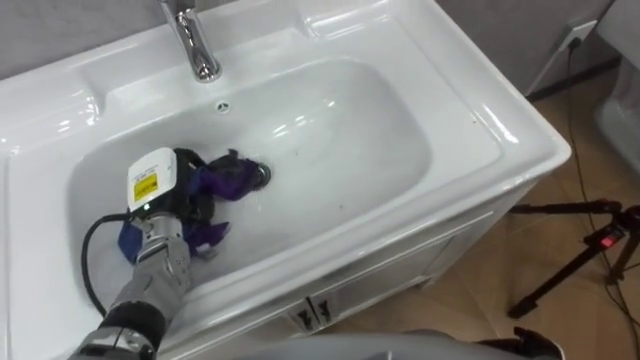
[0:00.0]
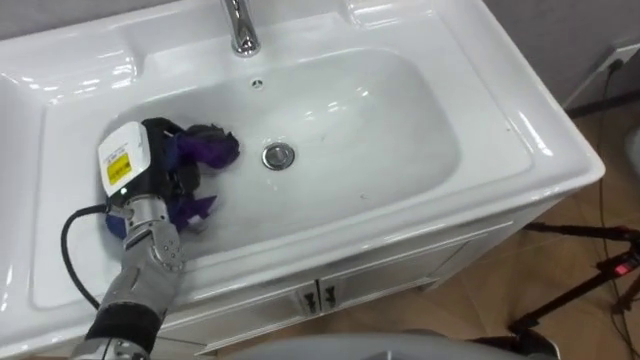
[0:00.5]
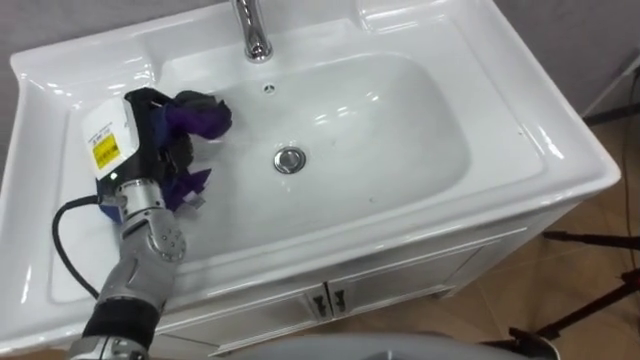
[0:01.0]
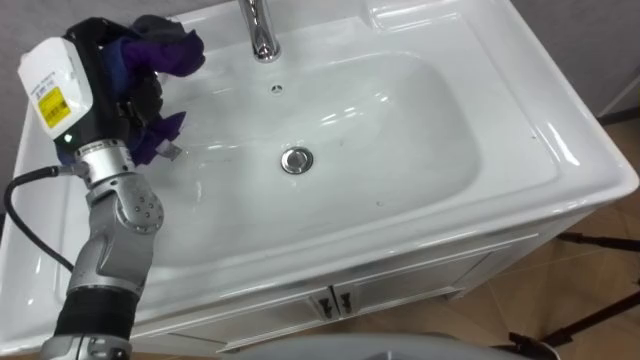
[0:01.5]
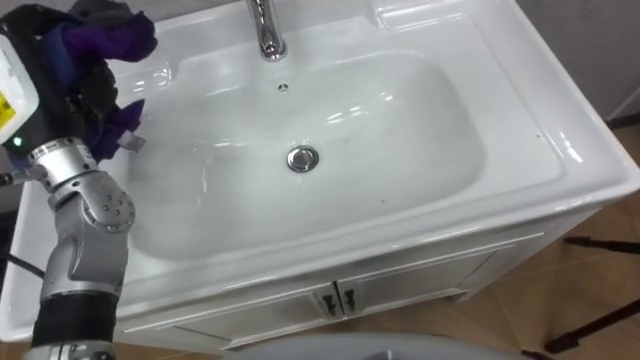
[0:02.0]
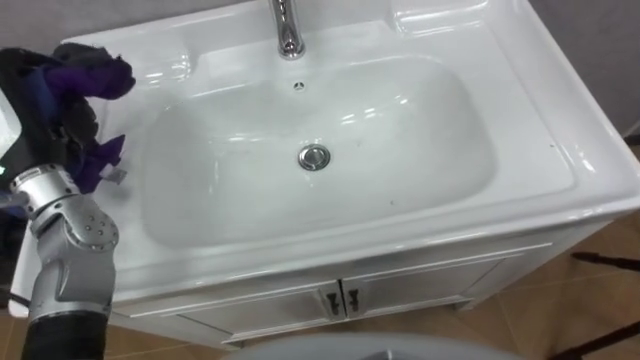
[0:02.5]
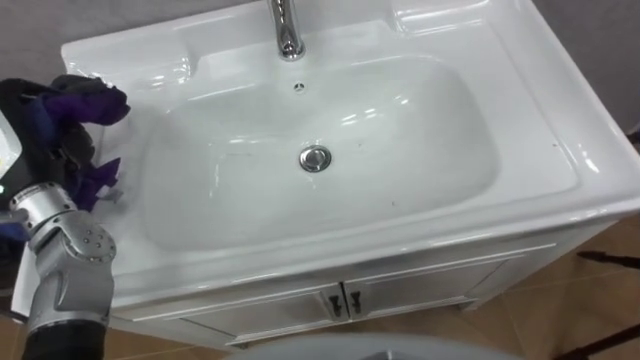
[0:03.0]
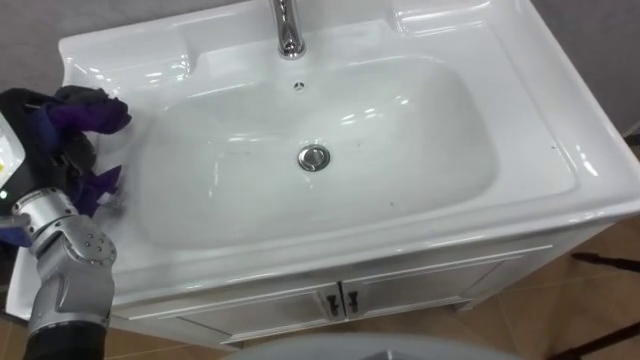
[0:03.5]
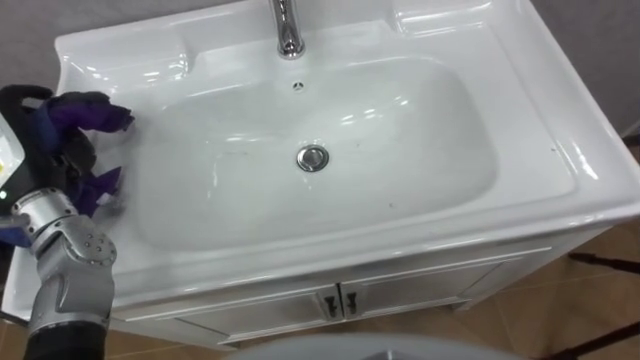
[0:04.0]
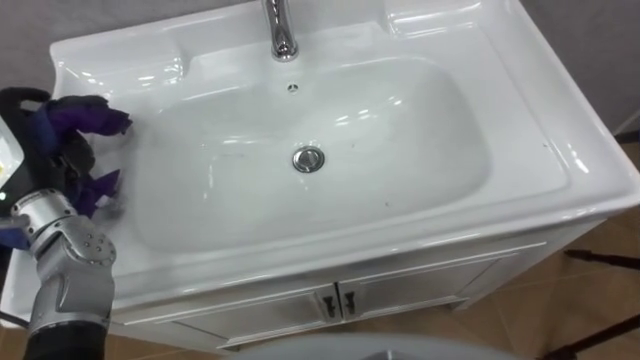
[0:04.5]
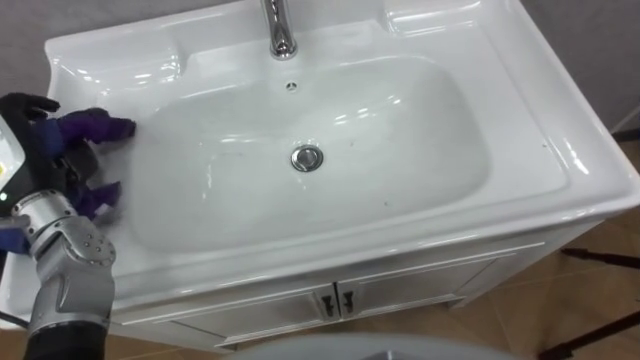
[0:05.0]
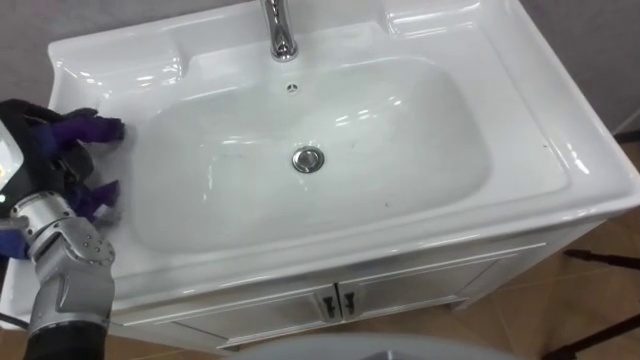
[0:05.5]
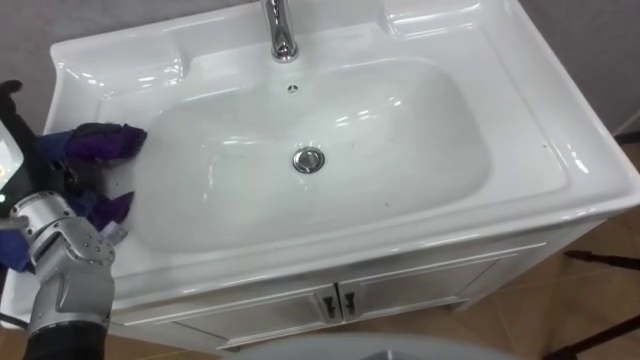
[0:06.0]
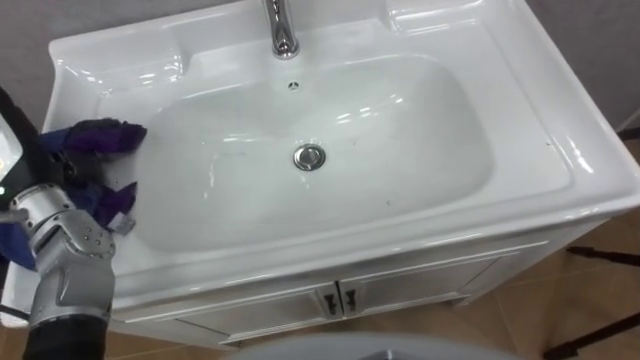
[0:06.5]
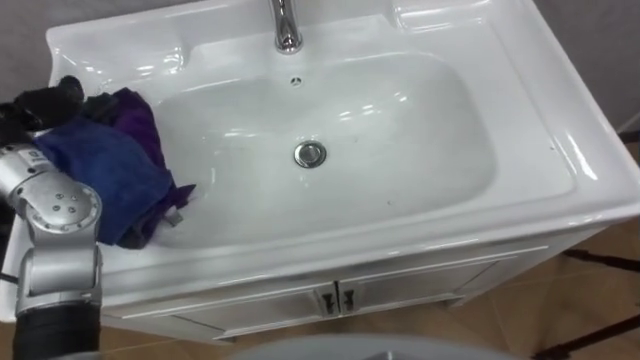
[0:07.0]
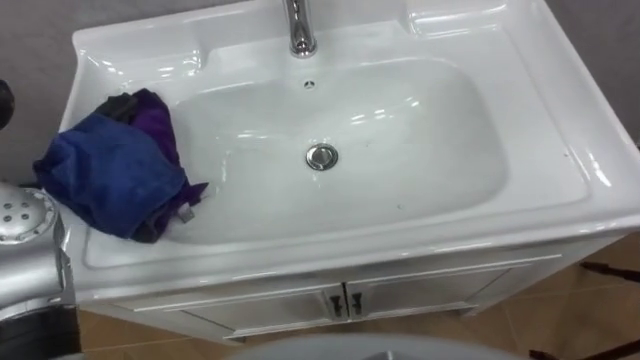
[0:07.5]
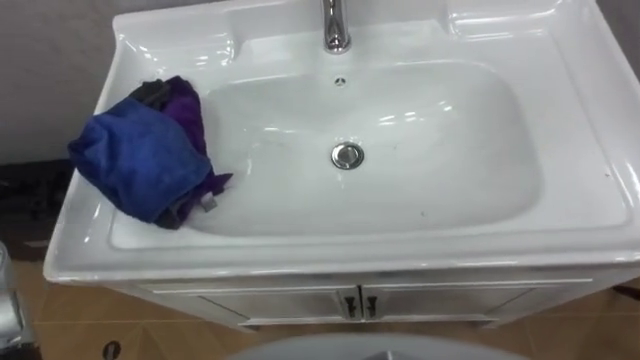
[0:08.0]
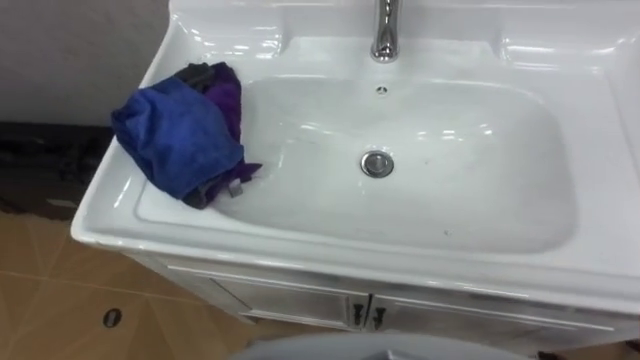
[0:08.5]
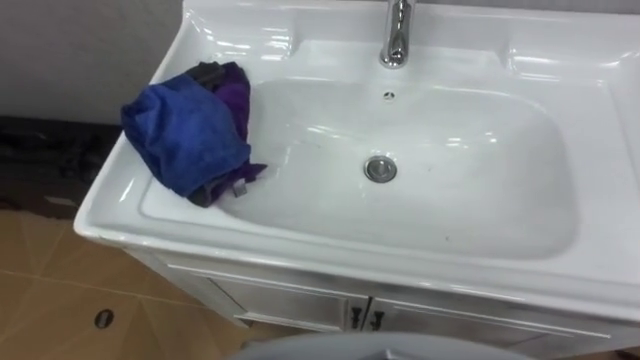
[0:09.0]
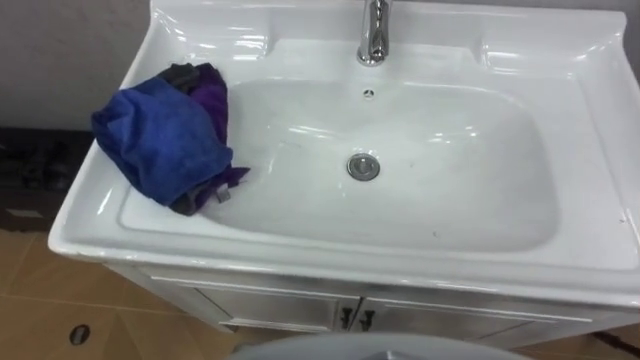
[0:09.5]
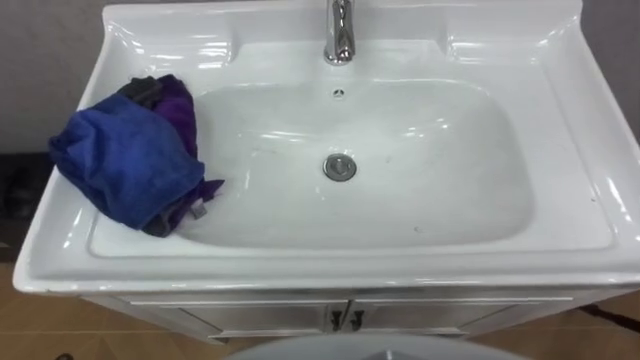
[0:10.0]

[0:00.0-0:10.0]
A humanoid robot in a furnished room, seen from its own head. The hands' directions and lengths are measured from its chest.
Task of the whole recording: Use the cloth on the right to wipe away the black stain in the sink.
0:00.0 to 0:02.0: The left hand shifts about 20 cm upward.

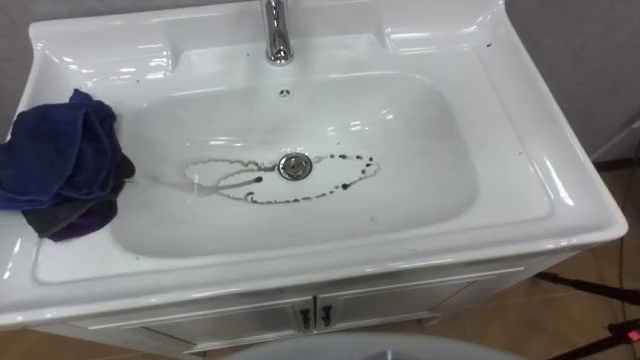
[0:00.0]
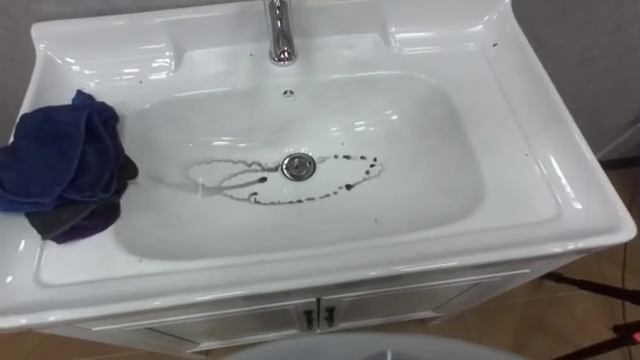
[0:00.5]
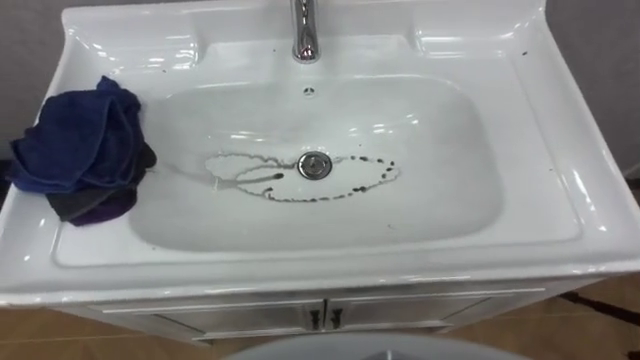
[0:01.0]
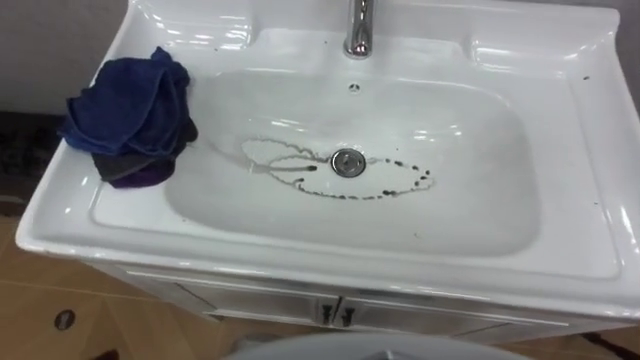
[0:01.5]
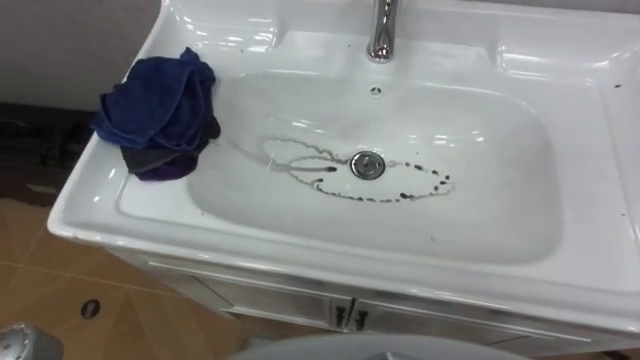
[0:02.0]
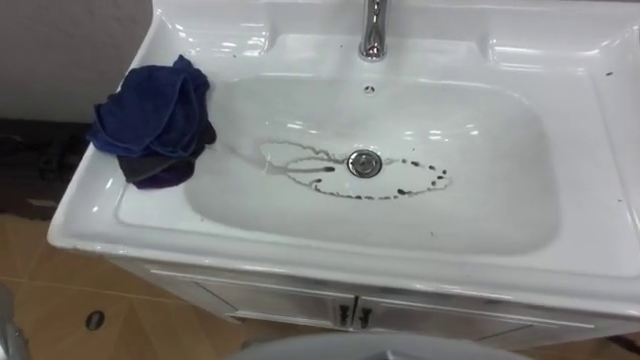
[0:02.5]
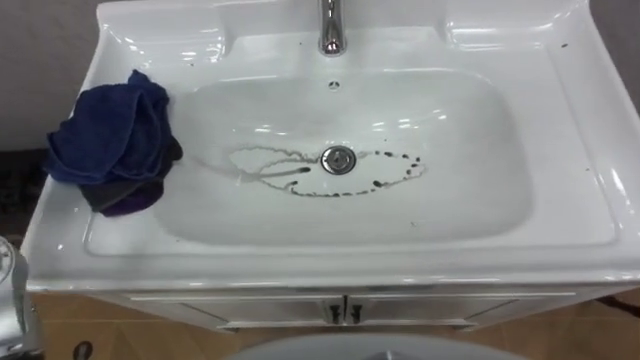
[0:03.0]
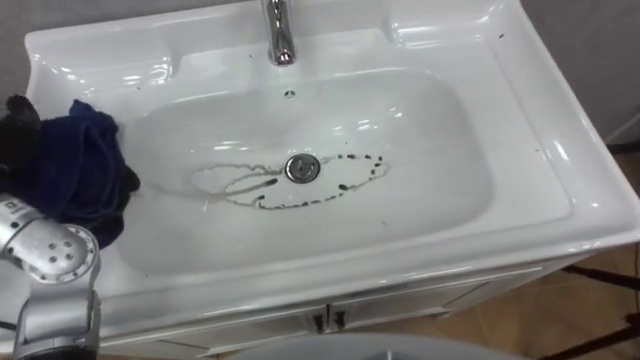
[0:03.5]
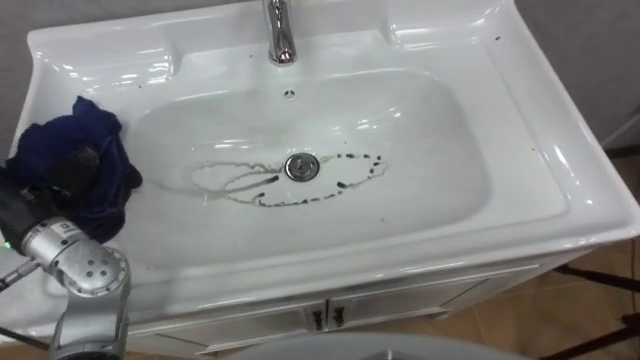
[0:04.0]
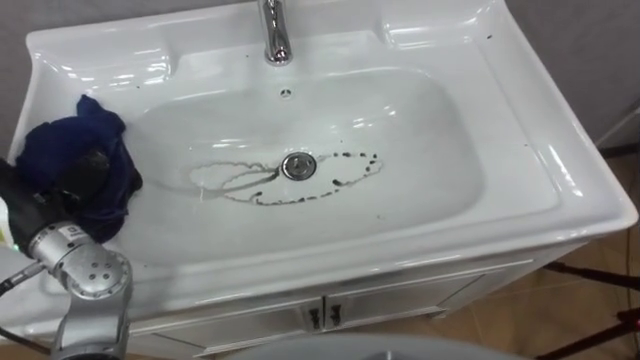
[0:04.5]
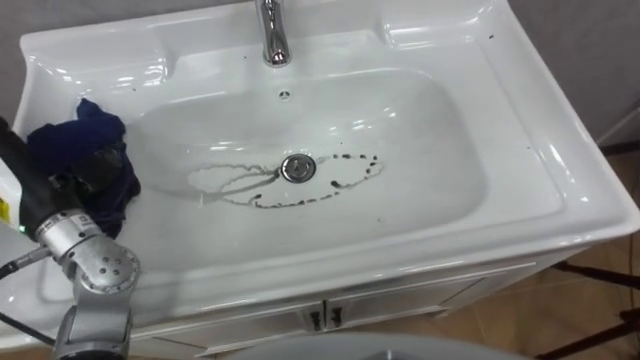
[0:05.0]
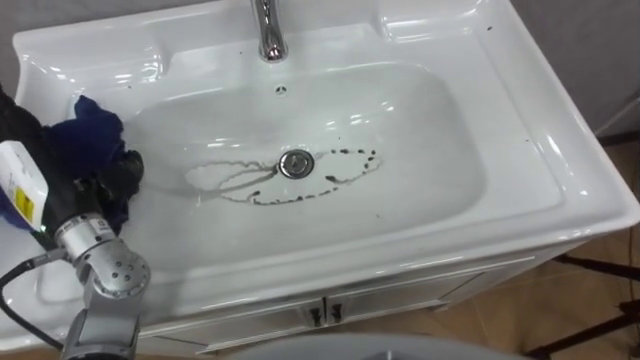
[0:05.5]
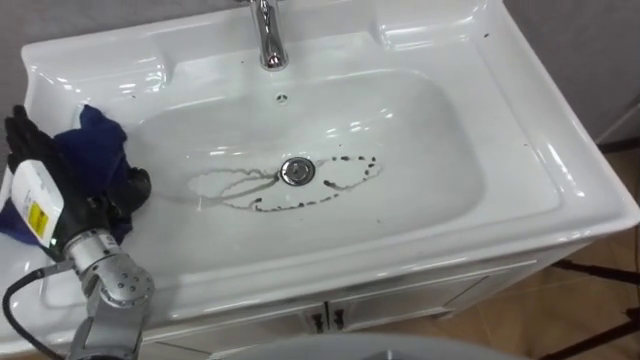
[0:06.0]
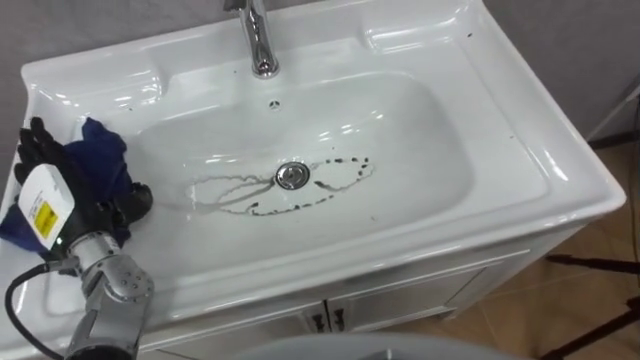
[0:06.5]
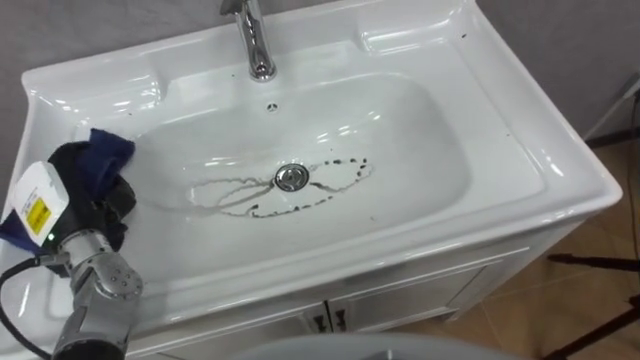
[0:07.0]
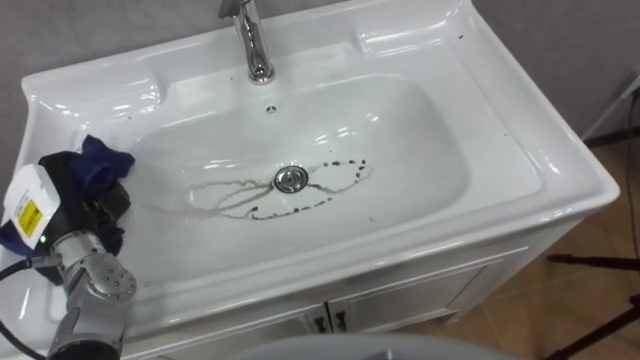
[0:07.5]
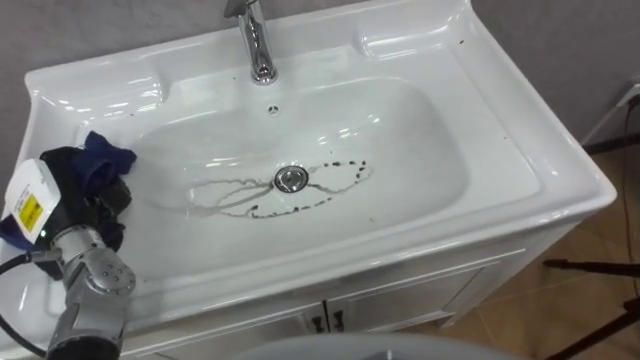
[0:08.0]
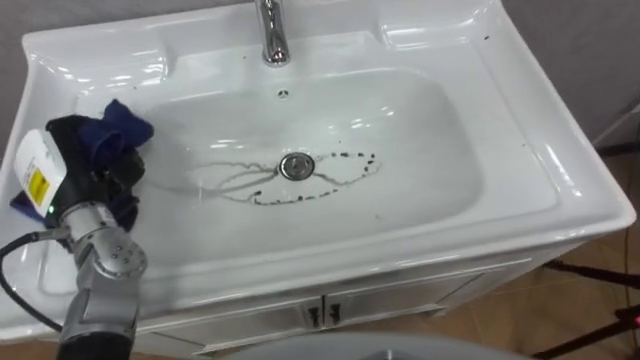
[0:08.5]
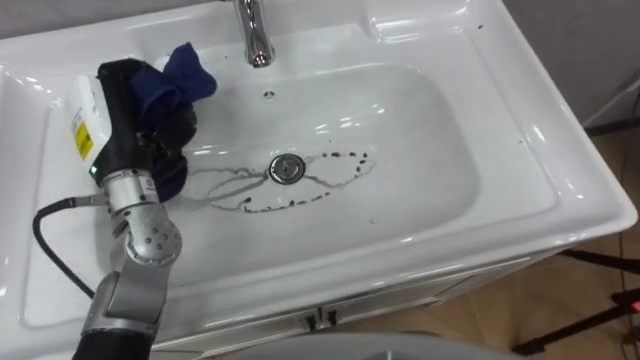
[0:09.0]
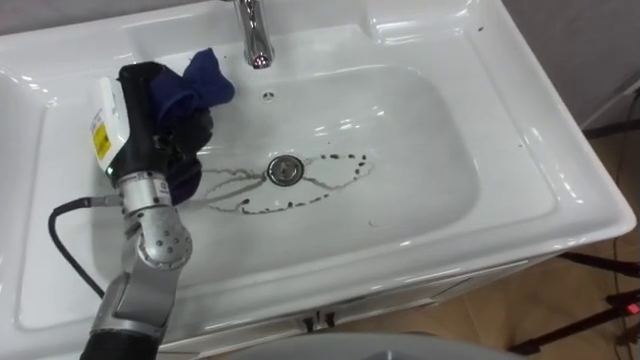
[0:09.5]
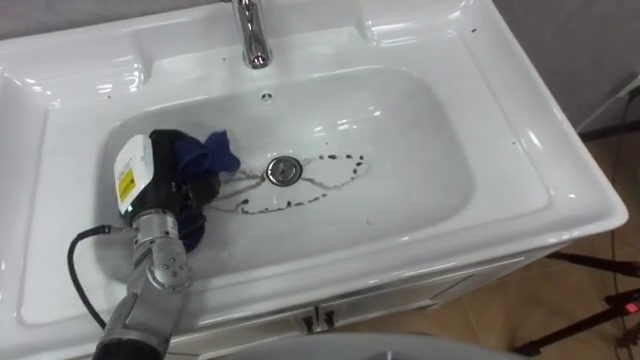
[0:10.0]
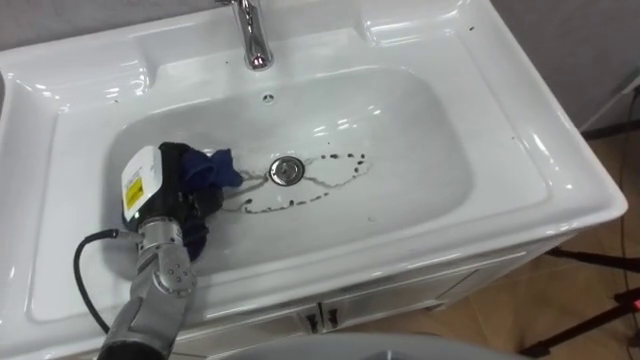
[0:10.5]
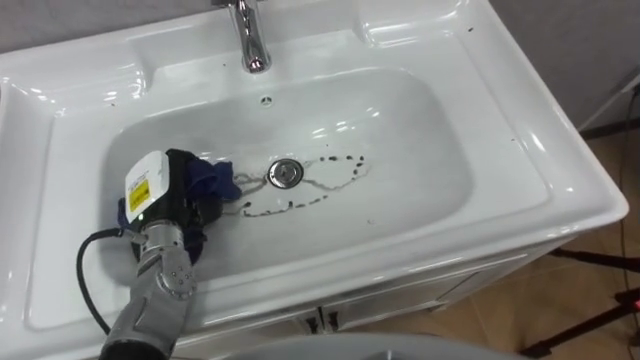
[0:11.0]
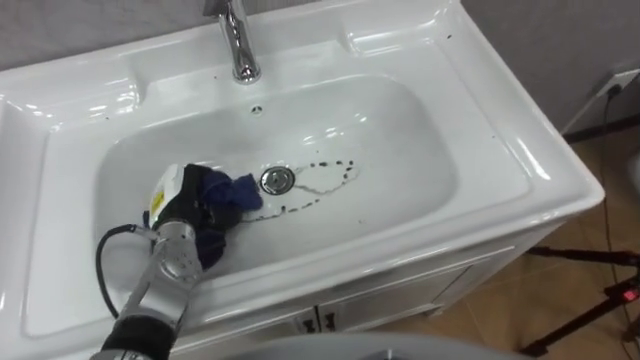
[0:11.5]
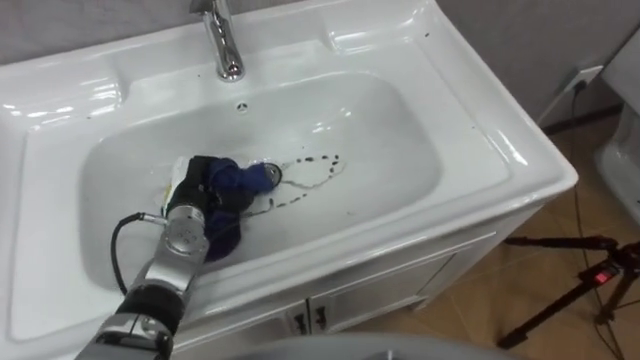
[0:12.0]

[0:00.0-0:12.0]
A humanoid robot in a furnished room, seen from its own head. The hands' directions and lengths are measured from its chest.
Task of the whole recording: Use the cloth on the right to wipe away the black stain in the sink.
0:06.0 to 0:08.0: The left hand closes.
0:08.0 to 0:10.0: The left hand moves to the right, some 10 cm.
0:10.0 to 0:12.0: The left hand shifts approximately 10 cm downward.
